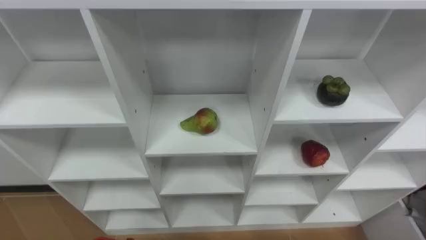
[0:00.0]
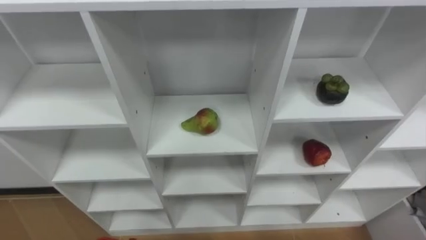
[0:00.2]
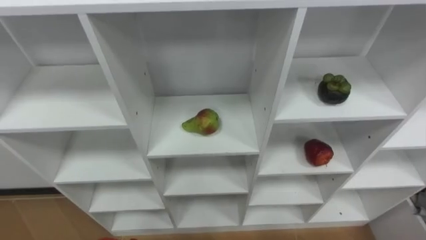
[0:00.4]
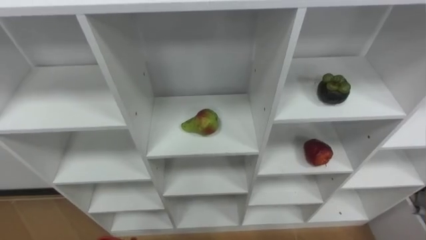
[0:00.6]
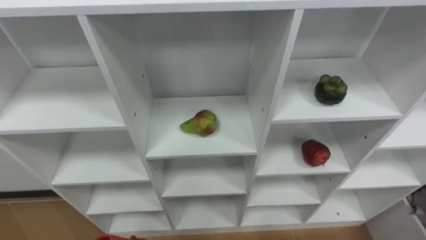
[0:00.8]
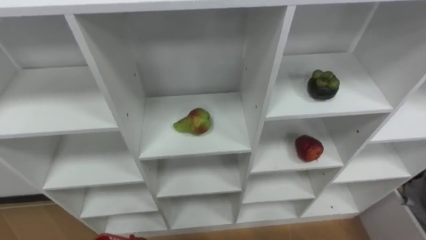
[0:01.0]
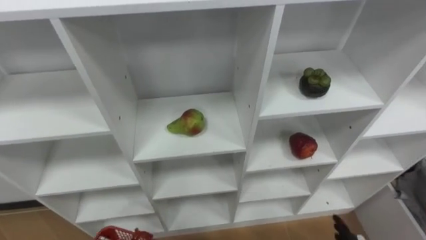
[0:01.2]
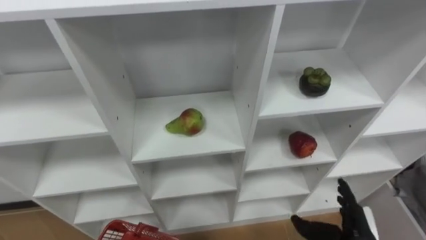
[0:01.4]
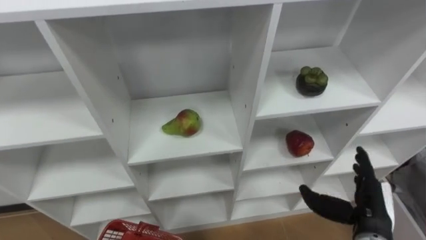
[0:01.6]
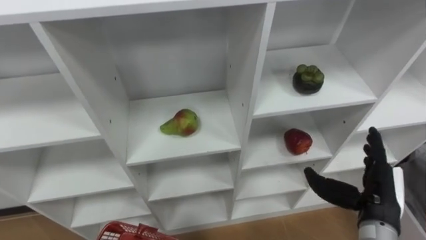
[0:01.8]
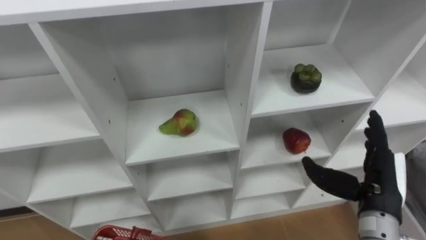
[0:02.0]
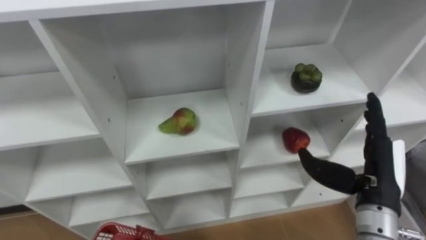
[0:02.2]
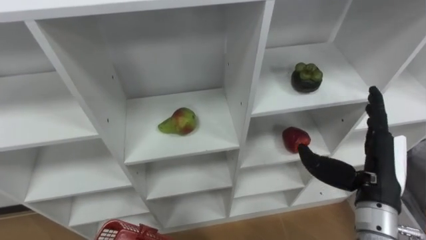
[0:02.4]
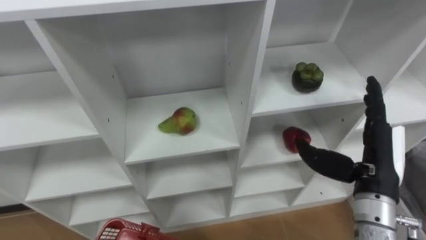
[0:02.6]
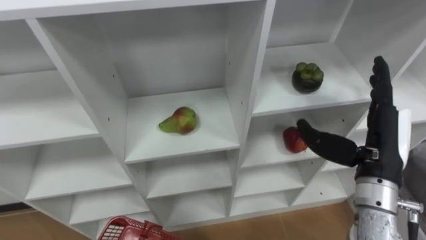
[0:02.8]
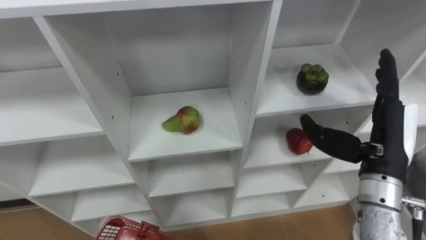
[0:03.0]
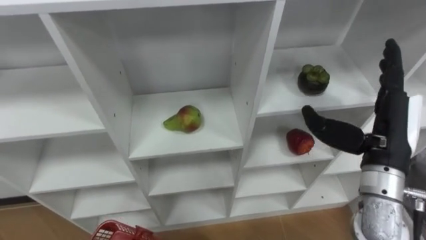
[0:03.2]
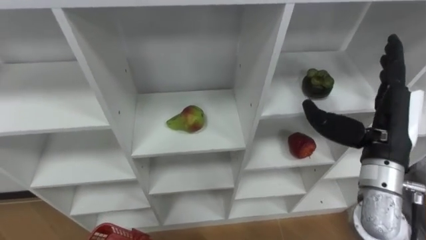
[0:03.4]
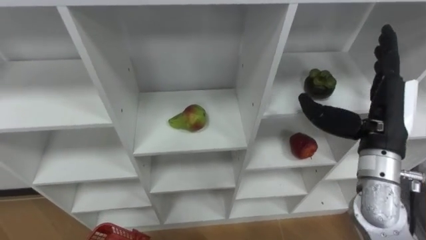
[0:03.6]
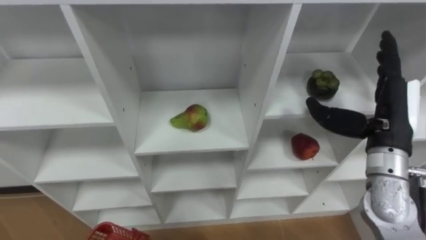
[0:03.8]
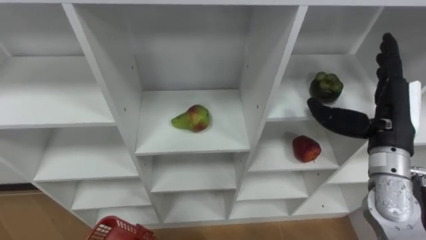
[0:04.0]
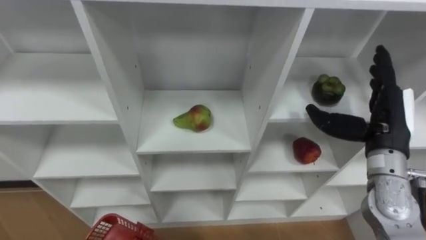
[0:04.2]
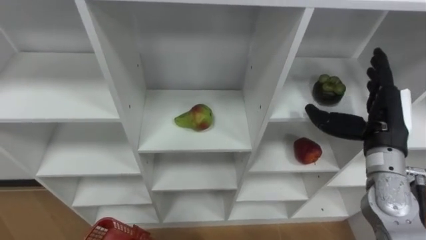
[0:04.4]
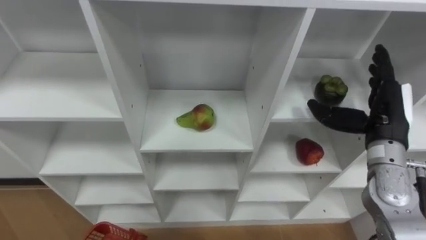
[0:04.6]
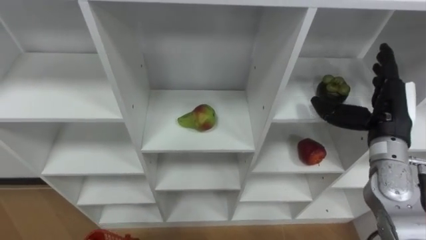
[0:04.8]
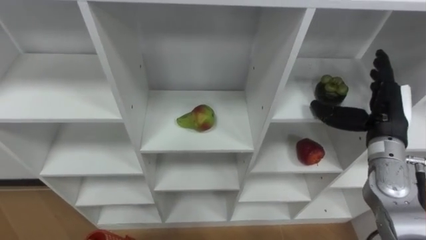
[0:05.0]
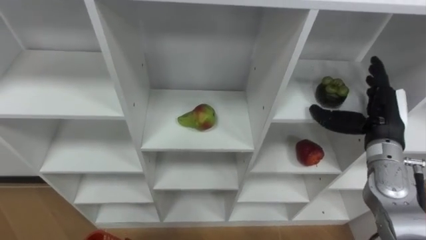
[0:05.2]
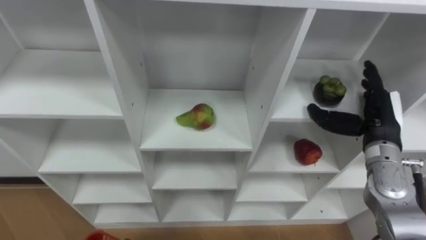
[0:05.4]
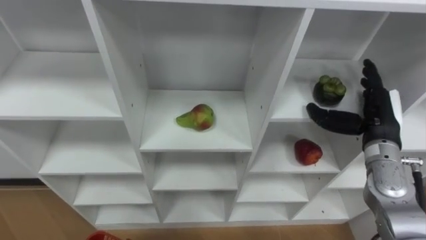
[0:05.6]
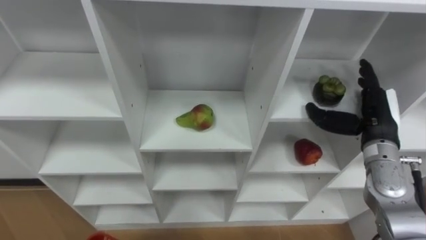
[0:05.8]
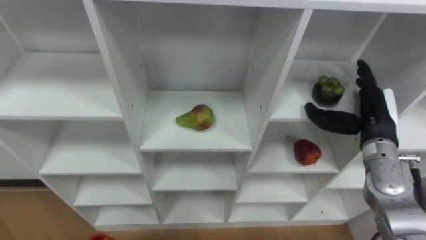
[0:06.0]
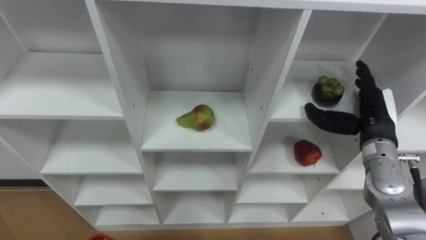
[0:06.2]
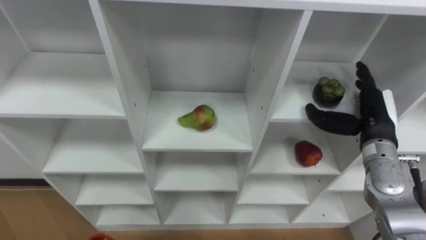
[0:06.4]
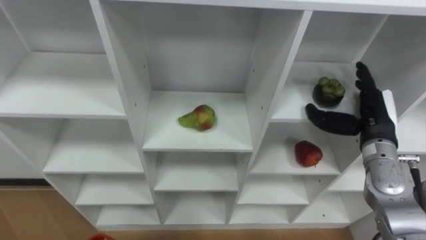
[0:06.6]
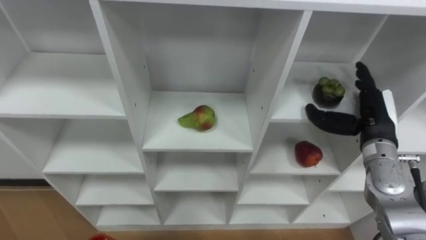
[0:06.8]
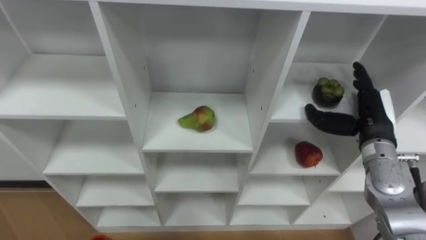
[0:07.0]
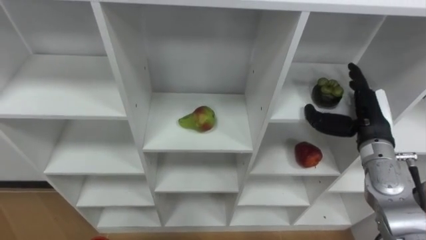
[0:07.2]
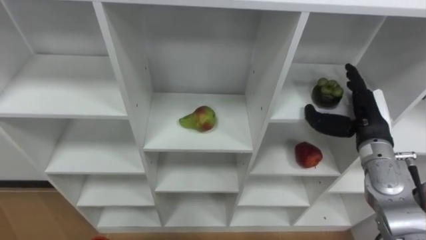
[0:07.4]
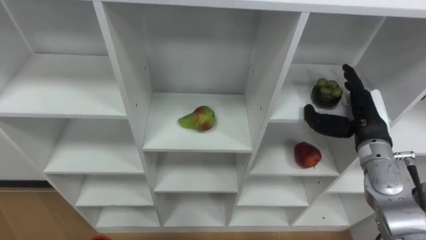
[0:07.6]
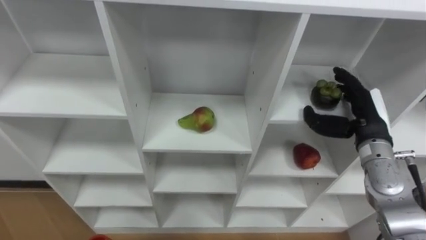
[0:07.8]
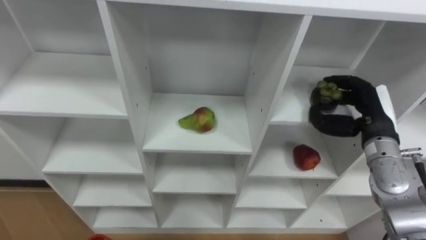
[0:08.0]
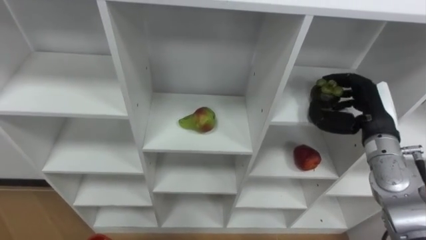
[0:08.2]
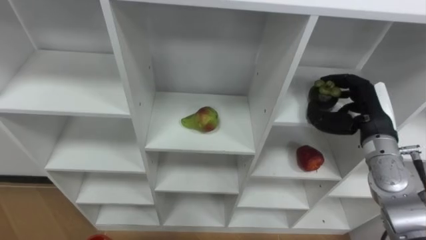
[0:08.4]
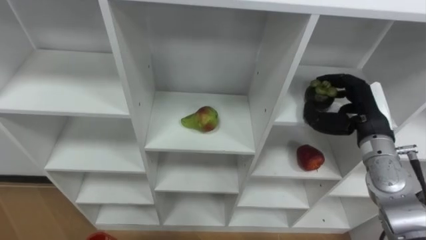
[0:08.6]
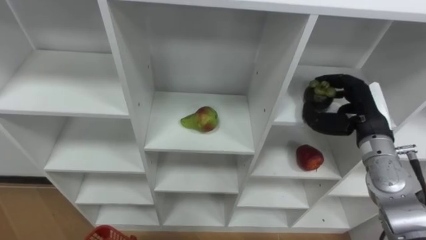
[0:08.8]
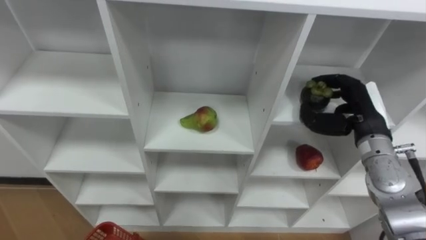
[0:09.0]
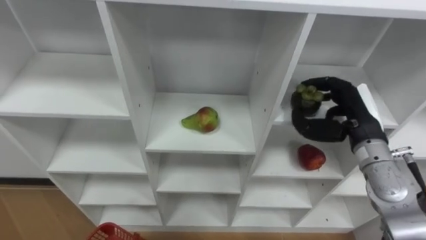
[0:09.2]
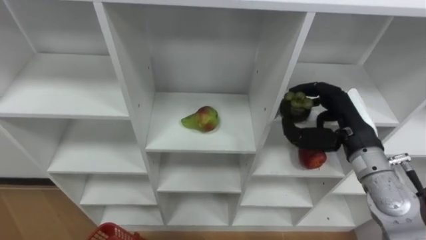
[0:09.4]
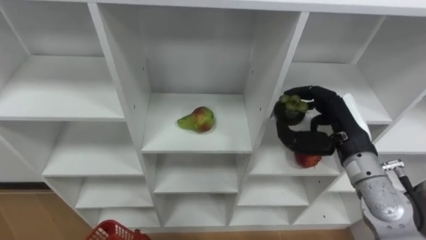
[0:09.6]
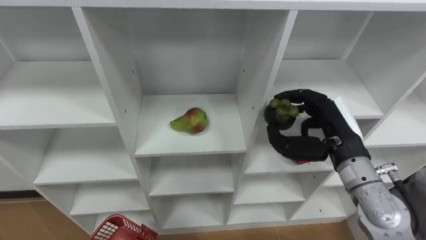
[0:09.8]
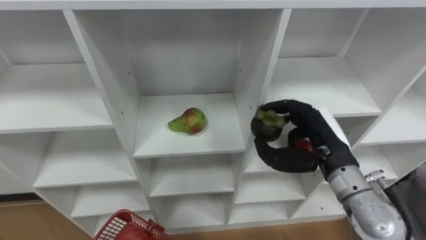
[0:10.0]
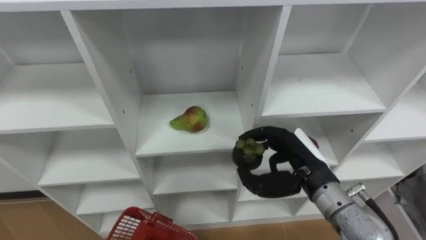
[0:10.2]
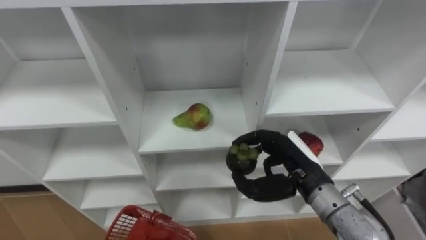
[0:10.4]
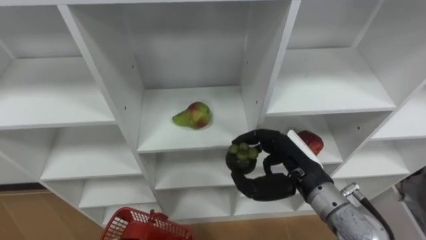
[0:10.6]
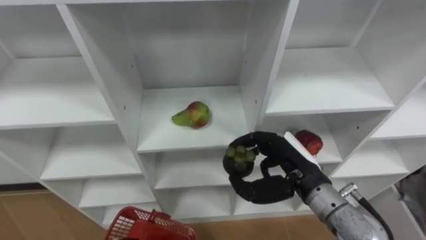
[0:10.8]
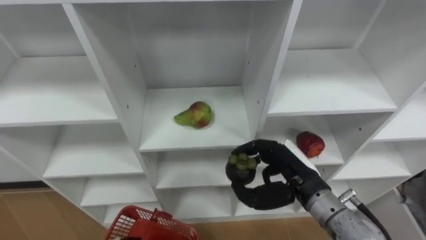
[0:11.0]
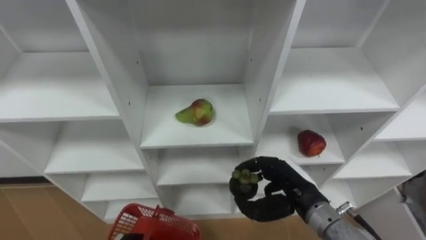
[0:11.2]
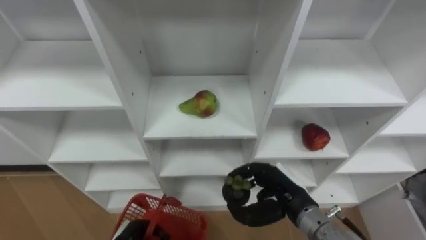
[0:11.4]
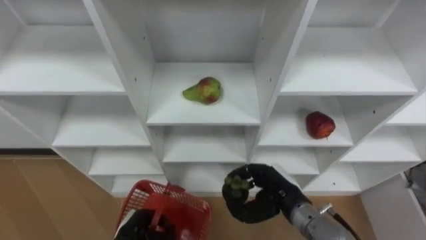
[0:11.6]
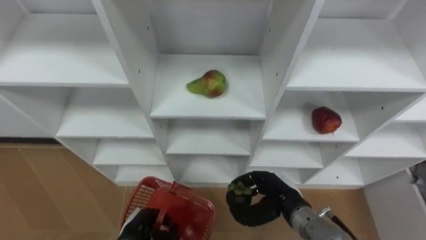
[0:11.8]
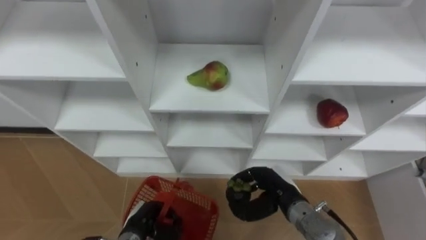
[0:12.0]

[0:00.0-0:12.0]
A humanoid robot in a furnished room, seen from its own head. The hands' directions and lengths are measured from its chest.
Task of the whole recording: Hold the basket and collect the fruits from 3 different cells of the closet into it.
0:01.6 to 0:03.0: The right hand moves upward and forward, about 15 cm.
0:03.0 to 0:04.4: The right hand ends up some 5 cm from where it was.
0:07.6 to 0:09.0: The right hand closes.
0:09.0 to 0:10.4: The right hand moves to the left and backward, about 15 cm.
0:10.4 to 0:12.0: The right hand is displaced downward by about 10 cm.

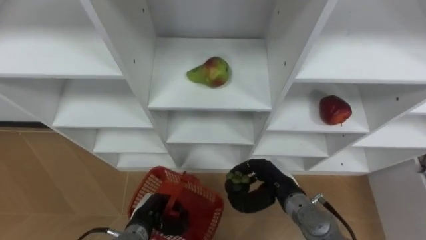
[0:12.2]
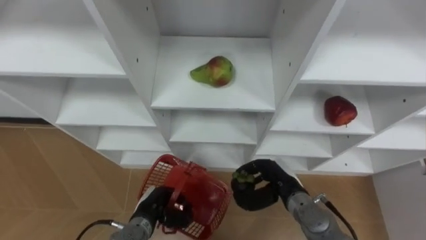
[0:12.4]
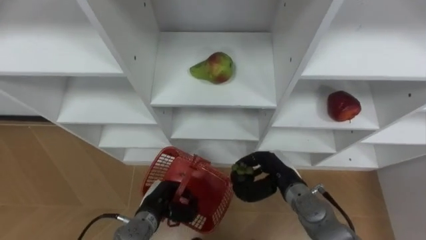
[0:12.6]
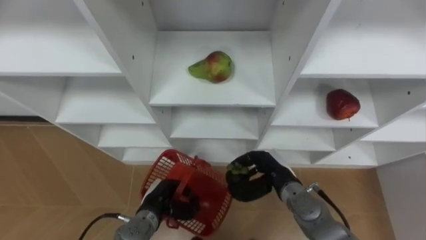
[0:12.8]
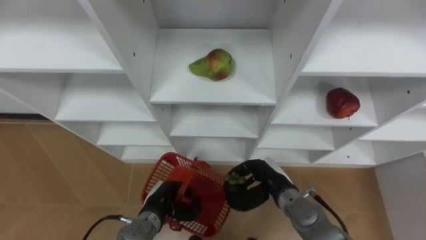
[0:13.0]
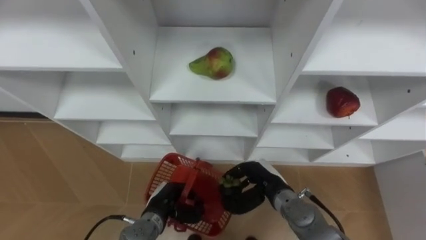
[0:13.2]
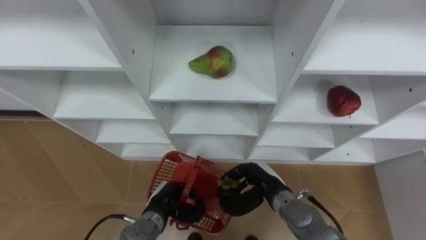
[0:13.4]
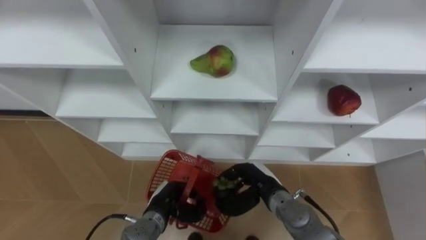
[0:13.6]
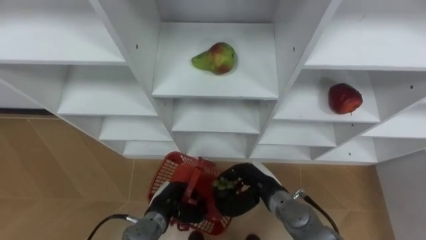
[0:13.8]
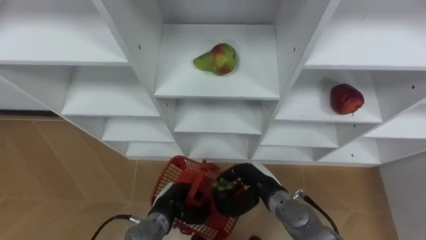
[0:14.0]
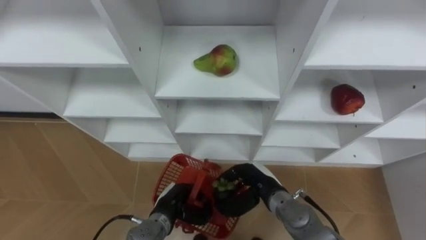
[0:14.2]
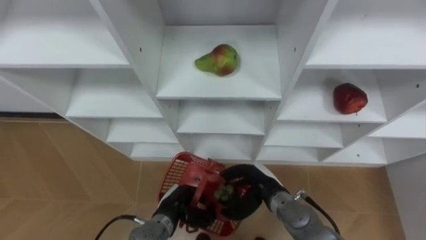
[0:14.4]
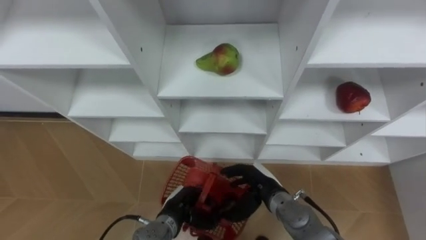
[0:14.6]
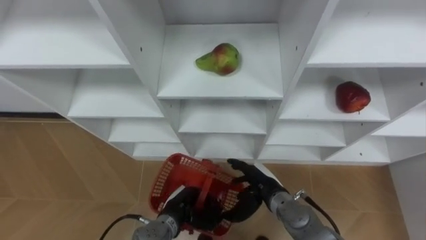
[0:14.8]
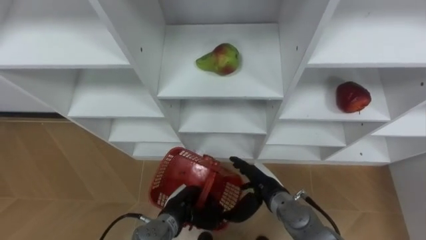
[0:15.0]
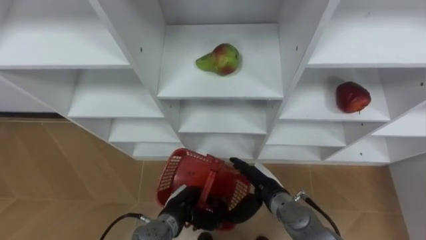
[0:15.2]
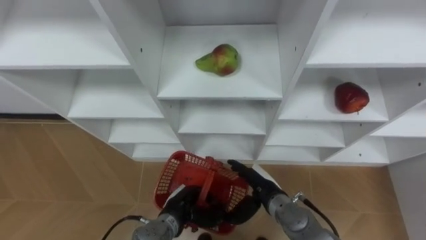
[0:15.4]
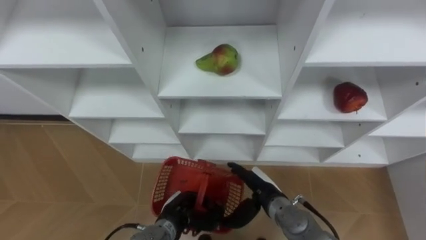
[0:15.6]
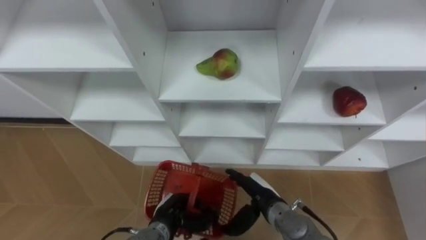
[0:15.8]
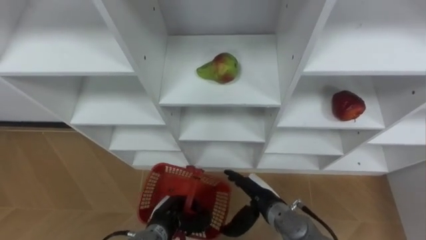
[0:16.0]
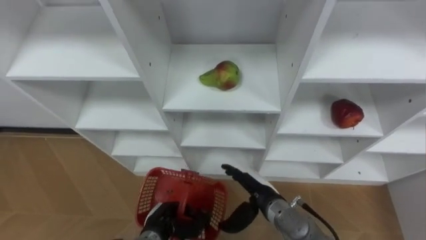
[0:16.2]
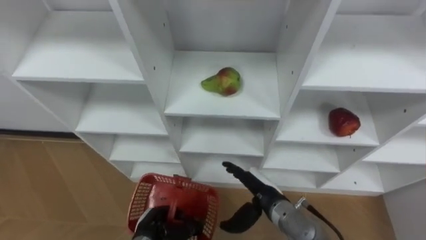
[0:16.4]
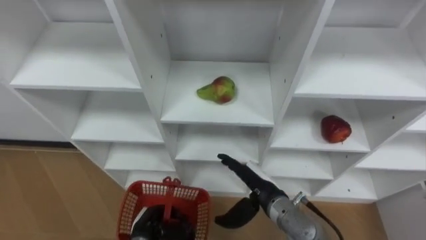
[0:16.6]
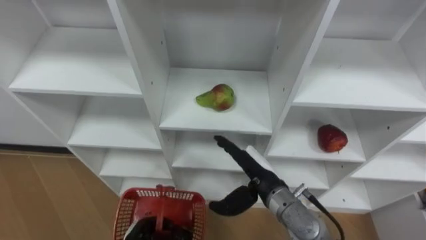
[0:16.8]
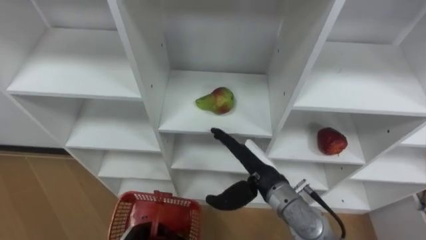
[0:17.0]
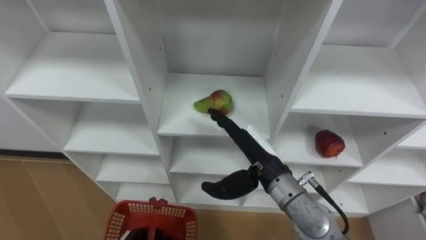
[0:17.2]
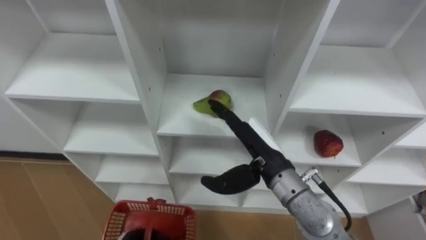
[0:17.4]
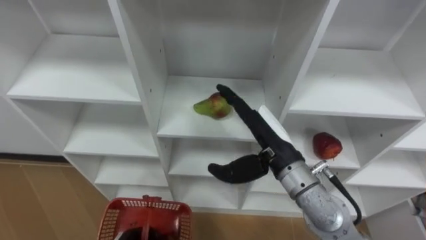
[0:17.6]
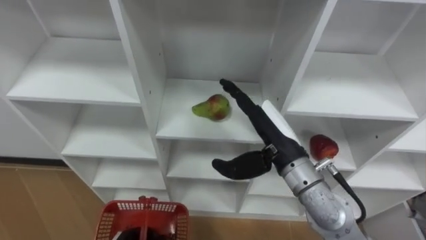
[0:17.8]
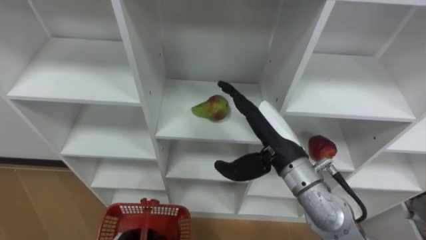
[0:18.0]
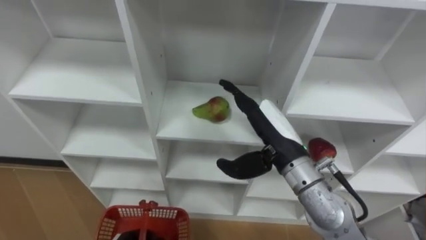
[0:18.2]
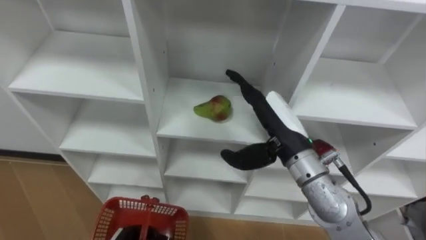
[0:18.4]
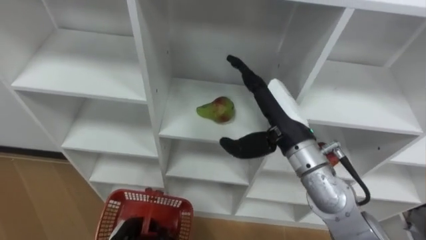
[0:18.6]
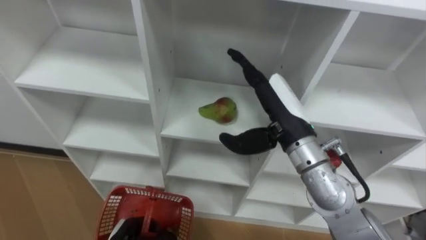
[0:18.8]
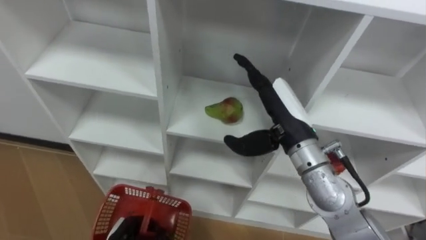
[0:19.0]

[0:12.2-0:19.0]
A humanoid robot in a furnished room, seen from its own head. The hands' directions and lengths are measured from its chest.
Task of the whole recording: Hold the basket and collect the fruits from 3 different cells of the closet into it.
0:12.2 to 0:13.6: The left hand ends up about 5 cm from where it was.
0:13.6 to 0:15.0: The right hand opens up.
0:15.0 to 0:16.2: The left hand shifts by about 5 cm.
0:16.2 to 0:17.6: The right hand is displaced upward by some 15 cm.
